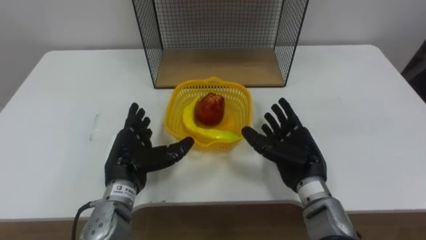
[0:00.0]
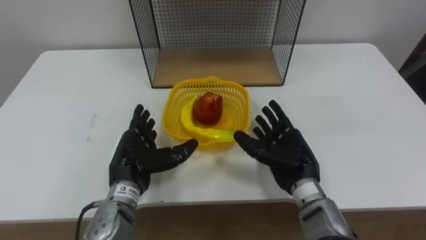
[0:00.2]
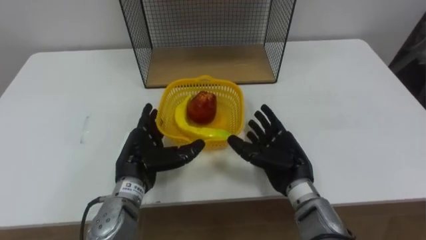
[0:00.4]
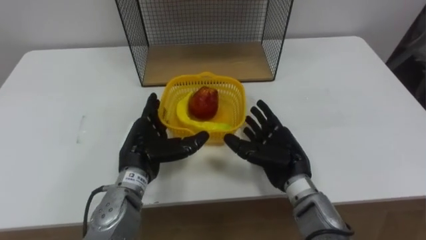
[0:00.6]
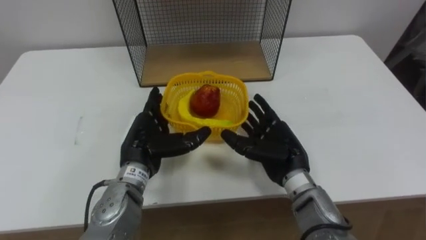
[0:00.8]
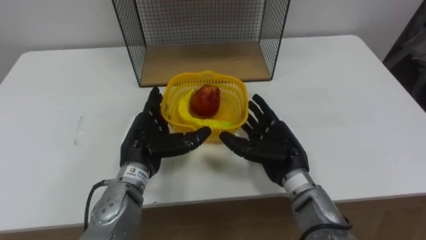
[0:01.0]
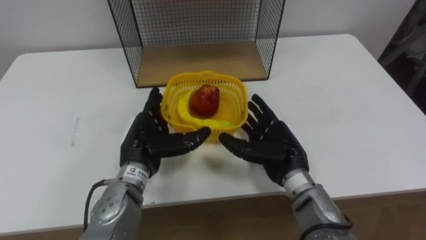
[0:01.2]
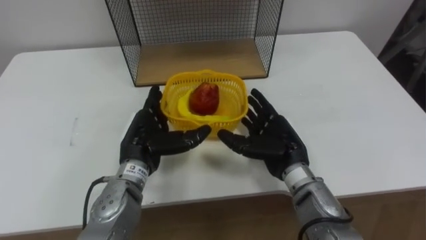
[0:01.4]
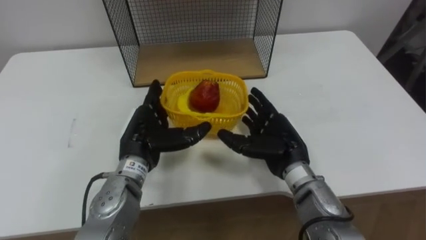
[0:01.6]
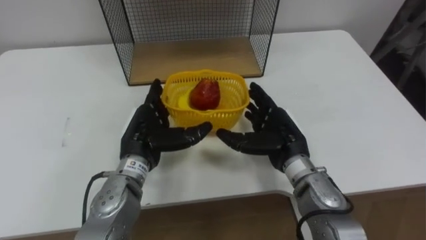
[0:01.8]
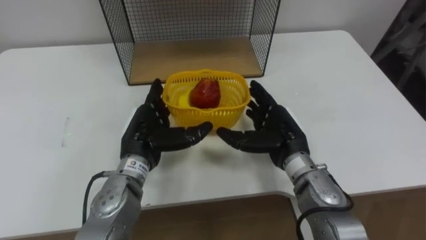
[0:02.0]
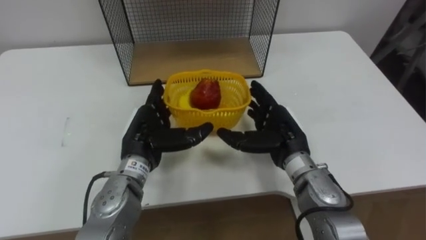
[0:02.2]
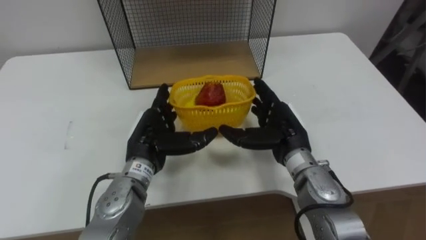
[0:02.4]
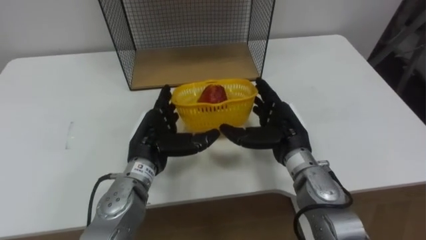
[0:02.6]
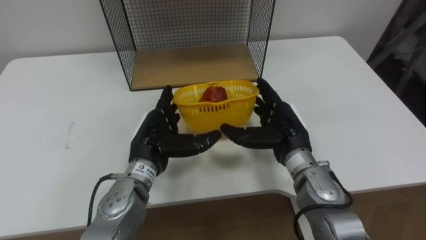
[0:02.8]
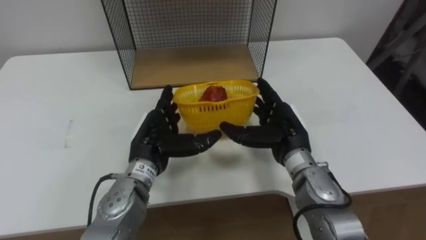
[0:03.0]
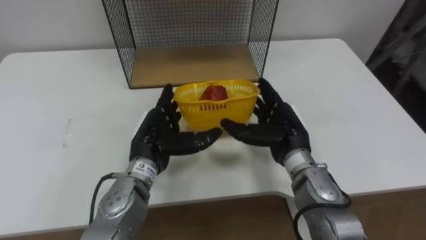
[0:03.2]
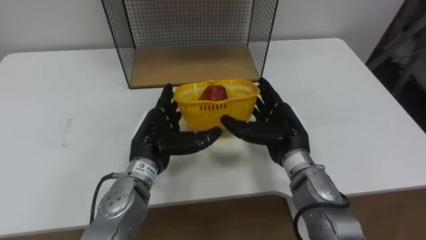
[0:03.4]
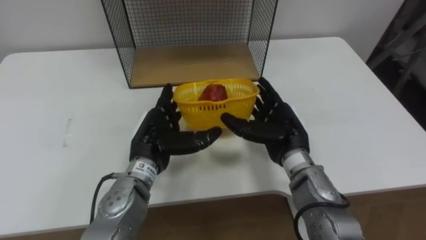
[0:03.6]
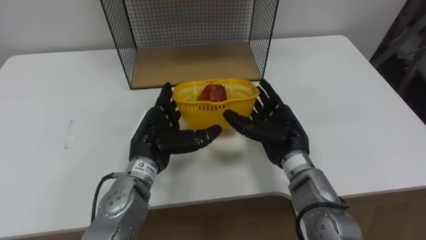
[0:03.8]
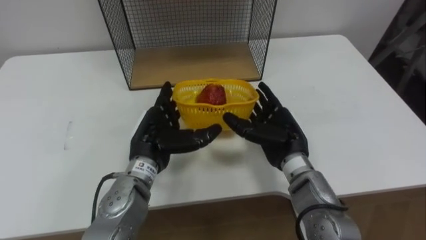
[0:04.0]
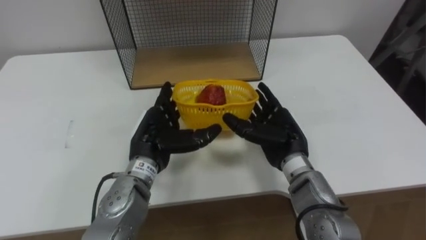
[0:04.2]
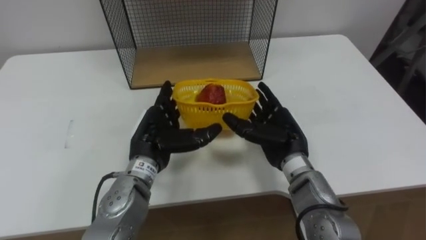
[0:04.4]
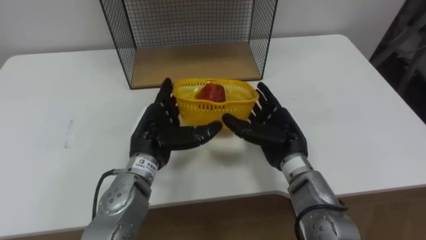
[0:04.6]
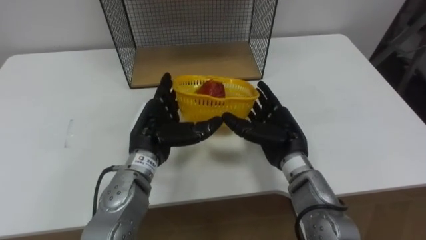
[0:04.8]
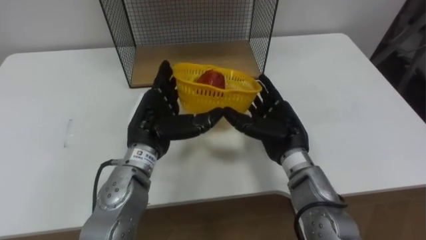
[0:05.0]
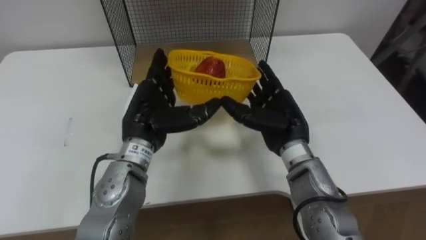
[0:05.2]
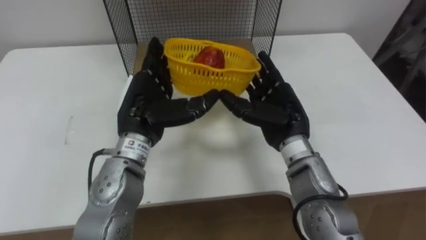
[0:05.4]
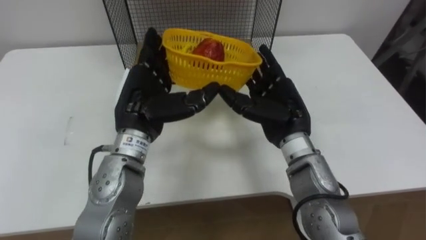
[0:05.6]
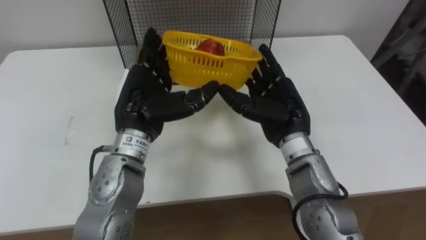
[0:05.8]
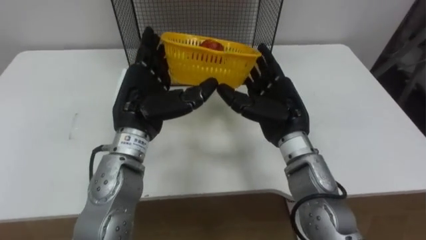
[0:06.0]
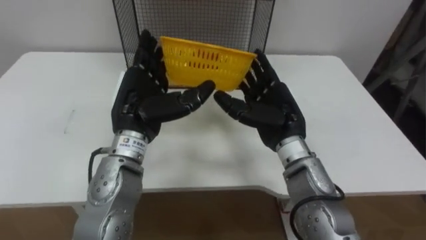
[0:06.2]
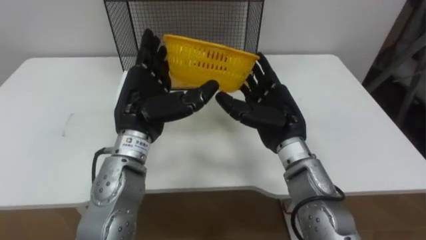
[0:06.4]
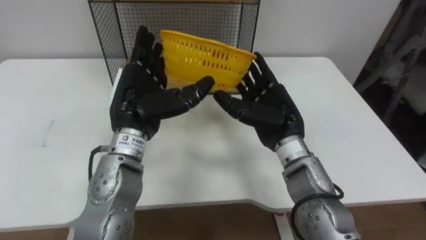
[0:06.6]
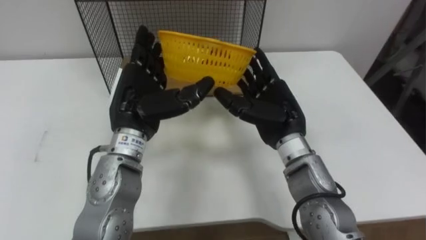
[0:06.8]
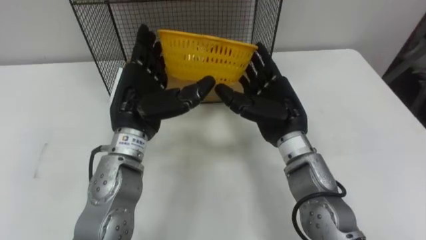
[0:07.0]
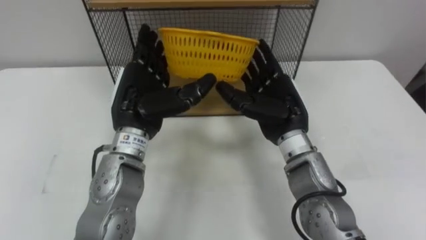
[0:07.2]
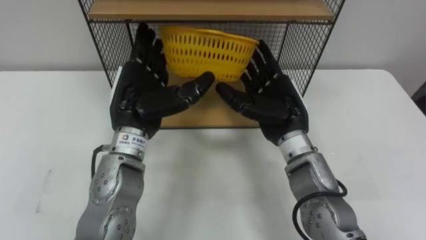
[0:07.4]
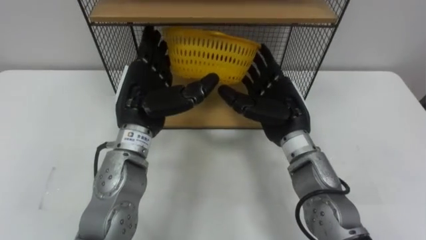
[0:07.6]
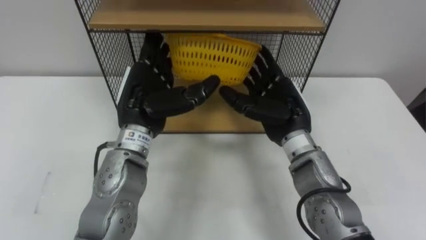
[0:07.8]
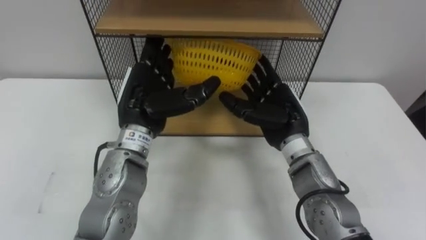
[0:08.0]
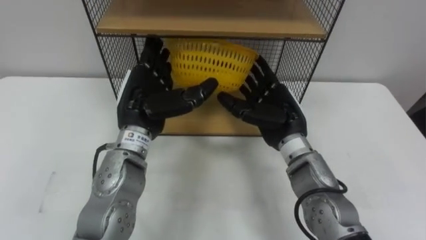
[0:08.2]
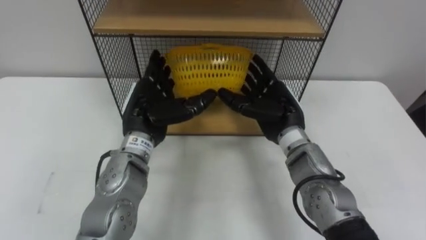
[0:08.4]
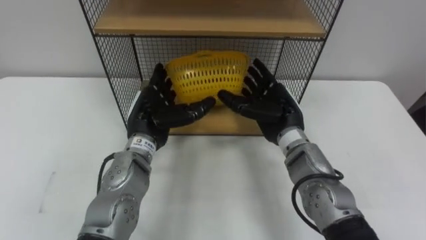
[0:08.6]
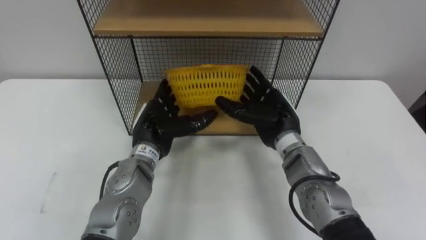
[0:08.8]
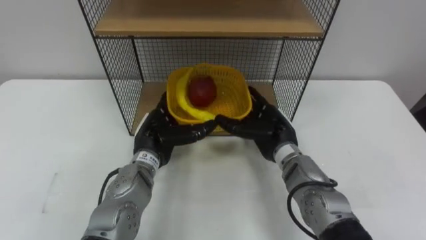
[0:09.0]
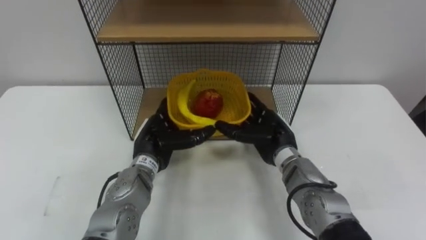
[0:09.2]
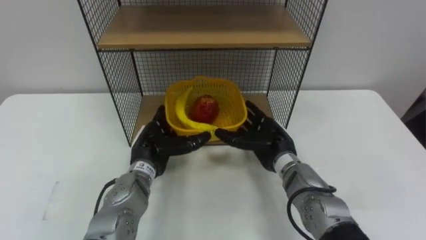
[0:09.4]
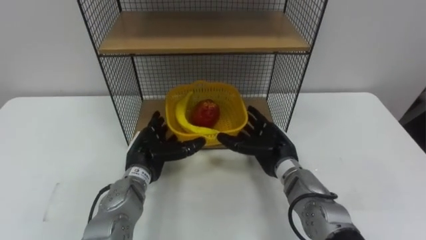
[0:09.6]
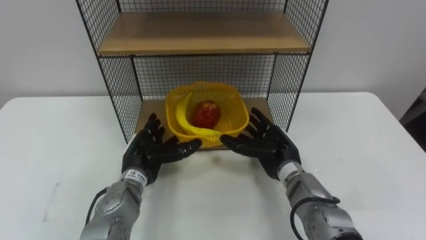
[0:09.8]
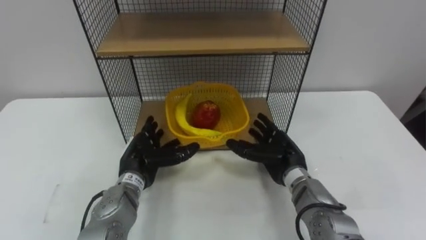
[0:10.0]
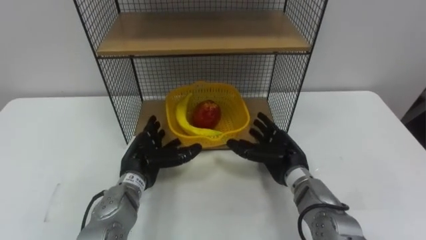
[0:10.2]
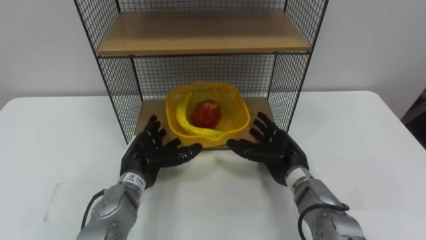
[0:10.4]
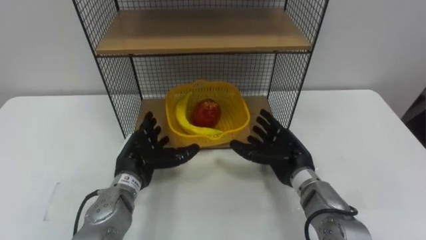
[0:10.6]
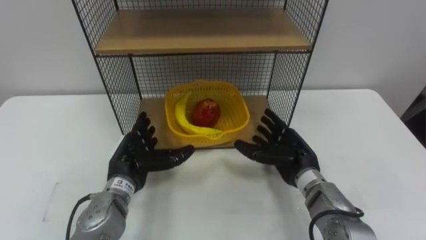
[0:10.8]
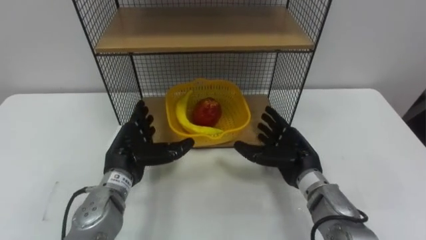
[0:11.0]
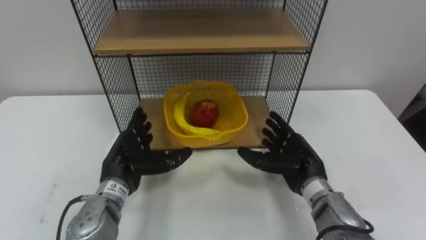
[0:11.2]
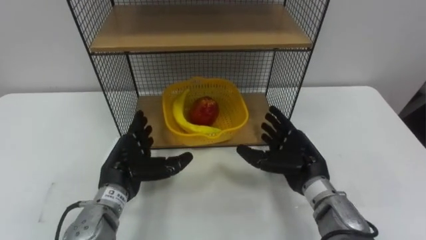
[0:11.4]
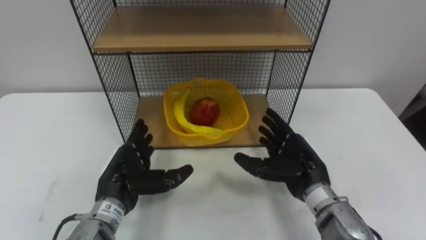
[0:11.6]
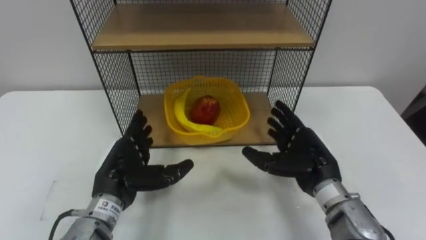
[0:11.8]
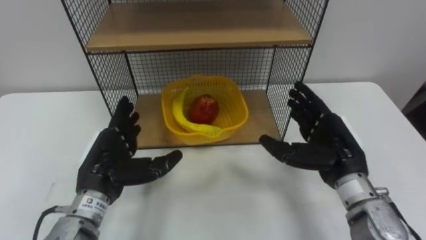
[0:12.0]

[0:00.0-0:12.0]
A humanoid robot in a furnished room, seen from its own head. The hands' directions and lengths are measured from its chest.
Task of the whole recording: Put the fruit on the table into the basket, then place the basket on the shelf.
0:00.0 to 0:01.6: The left hand changes place by about 5 cm.
0:03.0 to 0:04.4: The hands stay close to where they were, moving slightly.
0:04.4 to 0:06.0: The hands both shift upward by some 5 cm.
0:07.6 to 0:09.0: The right hand shifts some 10 cm downward; the left hand heads downward, covering roughly 10 cm.
0:09.0 to 0:10.4: The right hand changes place by approximately 5 cm. The left hand changes place by approximately 5 cm.
0:10.4 to 0:12.0: The right hand is displaced upward and to the right by approximately 10 cm; the left hand is displaced upward and backward by approximately 10 cm.

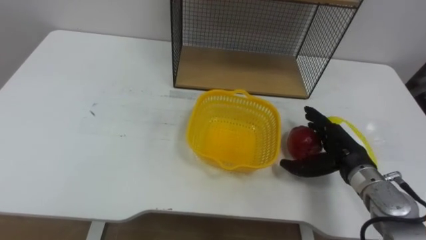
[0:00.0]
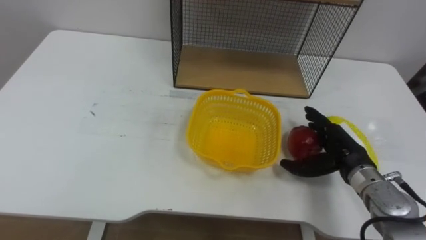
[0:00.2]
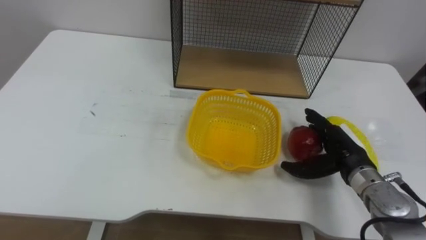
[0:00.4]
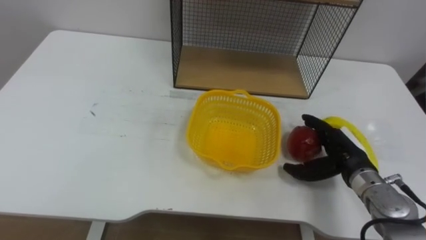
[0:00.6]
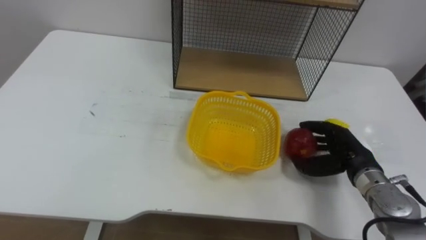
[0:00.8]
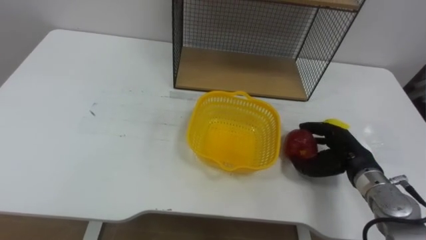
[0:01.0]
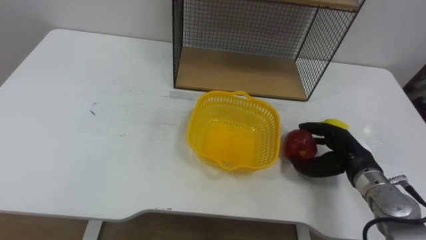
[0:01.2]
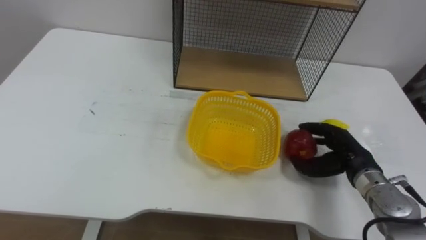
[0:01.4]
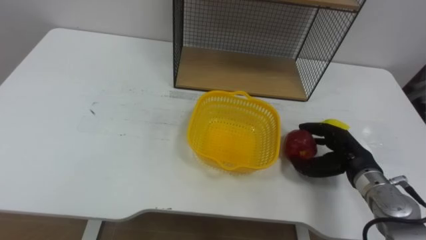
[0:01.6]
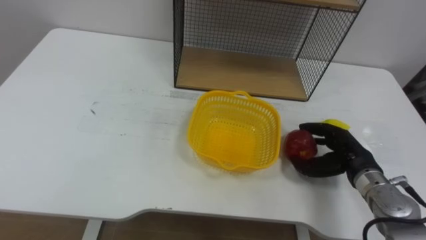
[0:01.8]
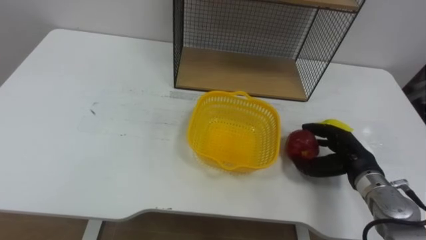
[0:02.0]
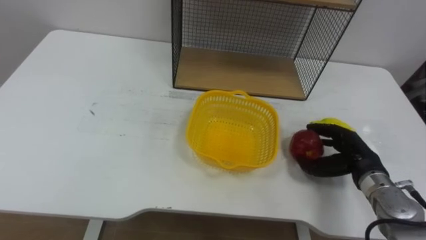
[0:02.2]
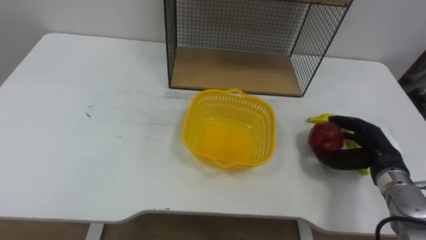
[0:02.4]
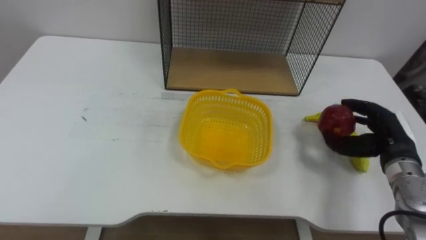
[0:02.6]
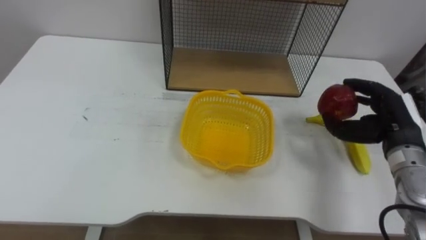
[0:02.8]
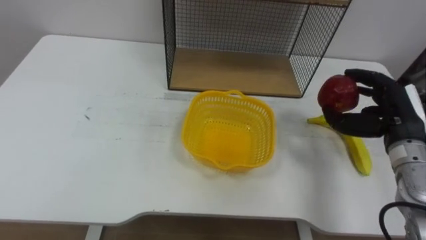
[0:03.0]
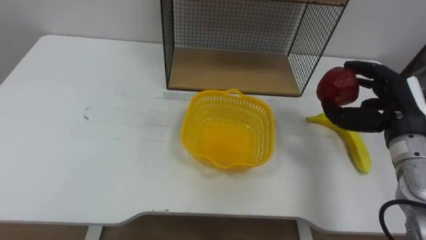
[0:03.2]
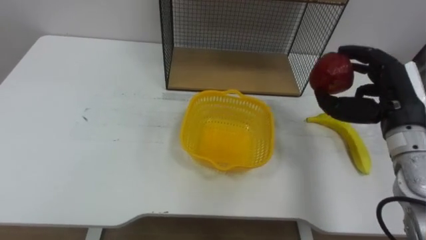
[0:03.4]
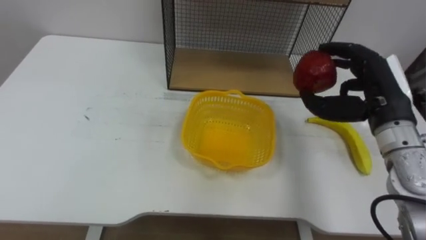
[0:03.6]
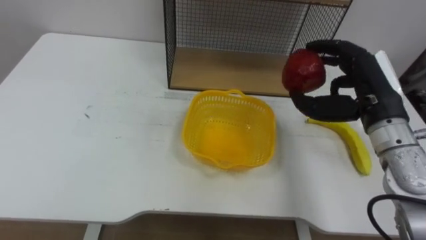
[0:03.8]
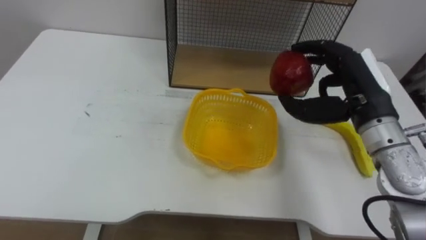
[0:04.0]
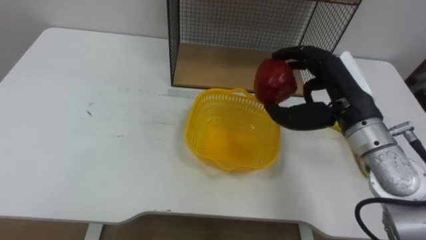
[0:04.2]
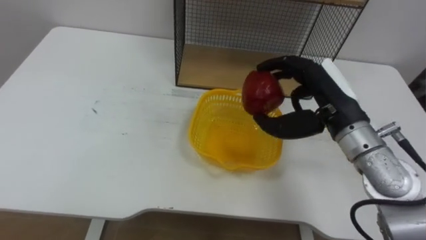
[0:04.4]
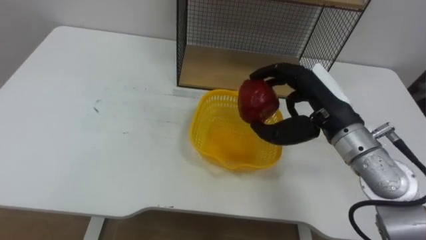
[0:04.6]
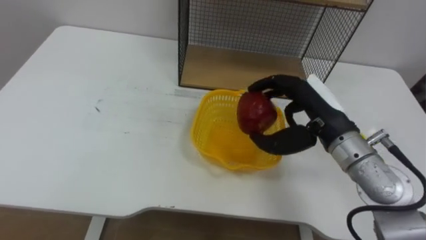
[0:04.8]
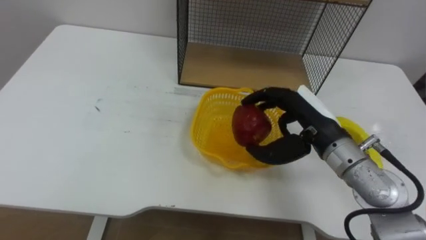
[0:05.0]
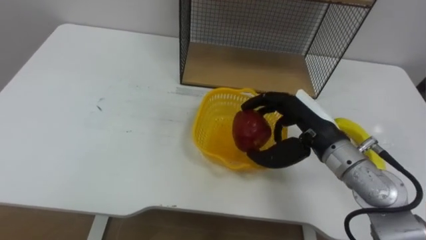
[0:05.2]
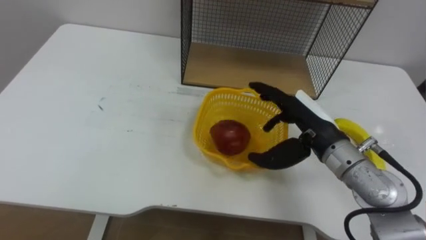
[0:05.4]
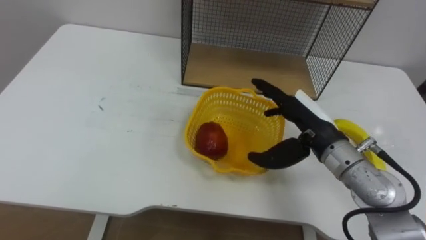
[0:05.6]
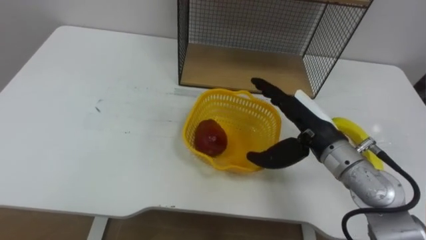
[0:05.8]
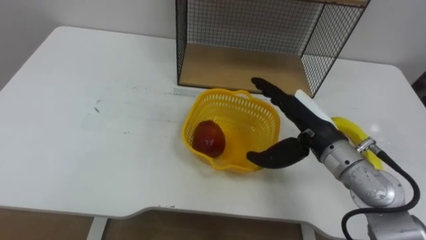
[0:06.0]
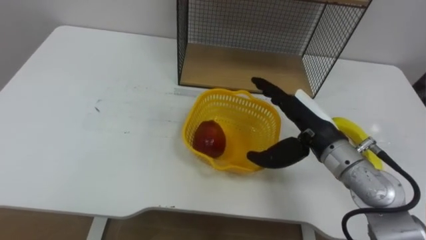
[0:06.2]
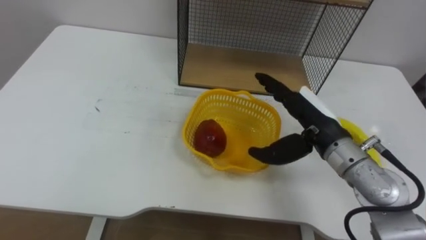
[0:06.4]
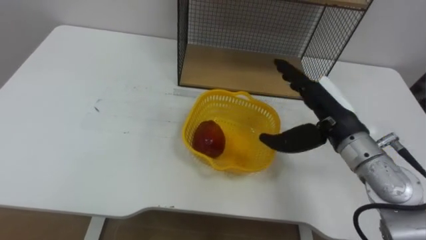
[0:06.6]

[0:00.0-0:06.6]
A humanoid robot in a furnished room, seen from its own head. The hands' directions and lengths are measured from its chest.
Task of the whole recording: Put the fruit on the table into the basket, then place the basket on the shelf.
0:00.0 to 0:01.6: The right hand closes its fingers.
0:01.6 to 0:03.2: The right hand moves upward, about 10 cm.
0:03.2 to 0:05.0: The right hand travels to the left by some 15 cm.
0:05.0 to 0:06.6: The right hand opens its fingers.
